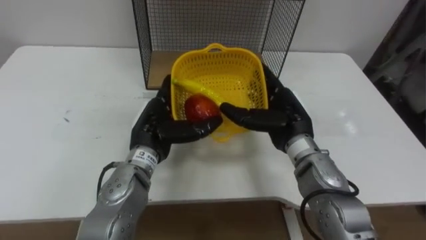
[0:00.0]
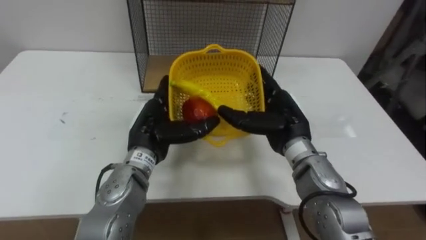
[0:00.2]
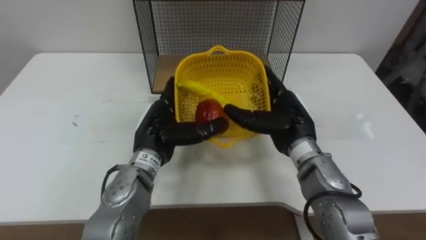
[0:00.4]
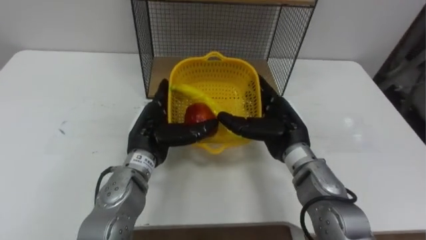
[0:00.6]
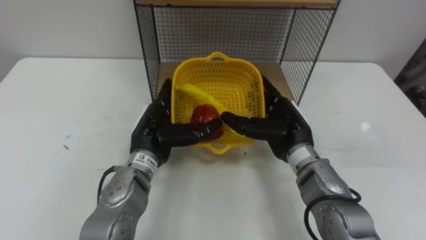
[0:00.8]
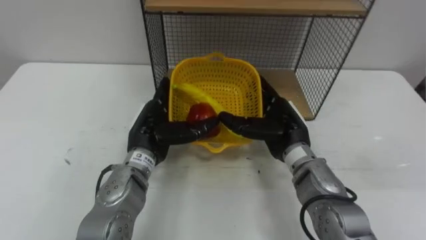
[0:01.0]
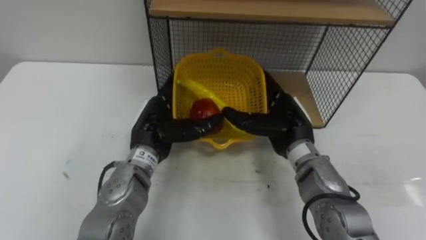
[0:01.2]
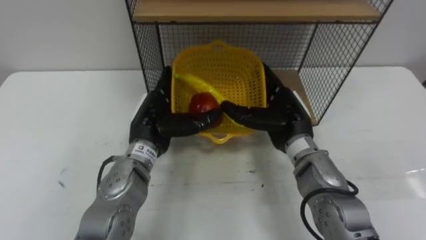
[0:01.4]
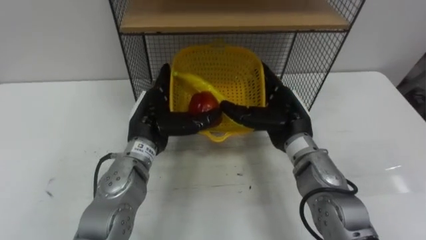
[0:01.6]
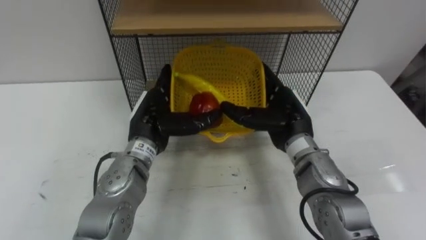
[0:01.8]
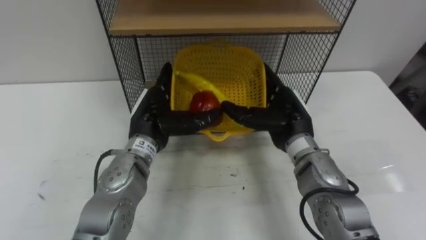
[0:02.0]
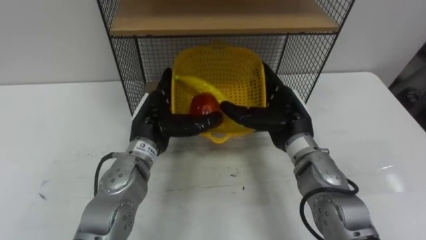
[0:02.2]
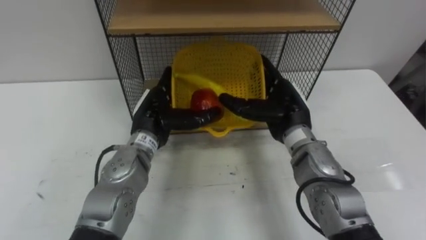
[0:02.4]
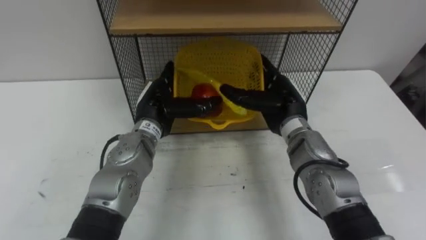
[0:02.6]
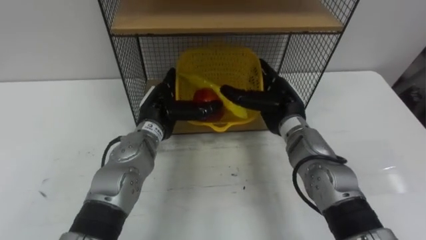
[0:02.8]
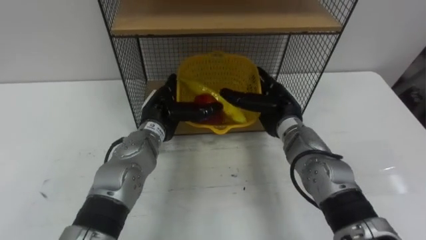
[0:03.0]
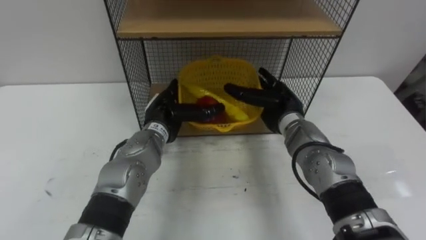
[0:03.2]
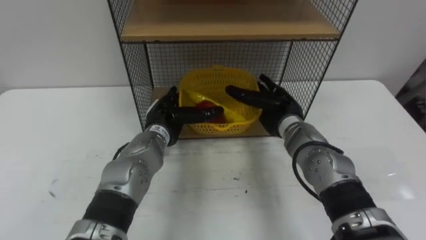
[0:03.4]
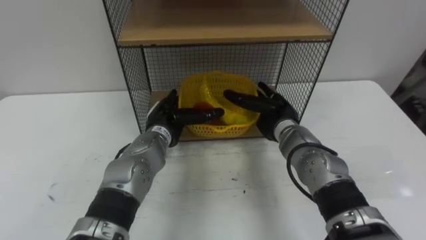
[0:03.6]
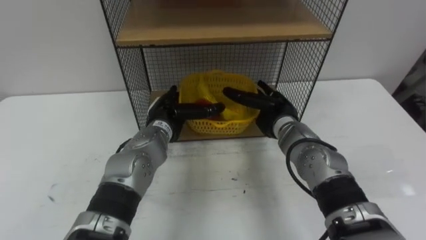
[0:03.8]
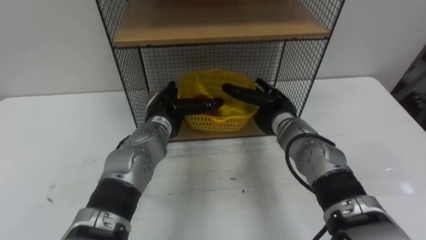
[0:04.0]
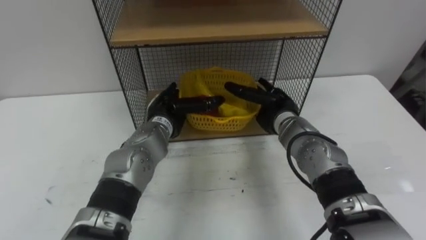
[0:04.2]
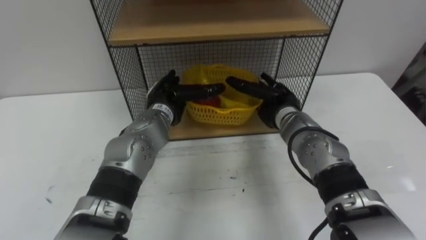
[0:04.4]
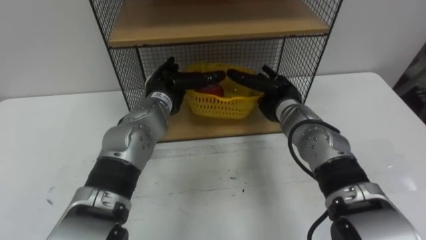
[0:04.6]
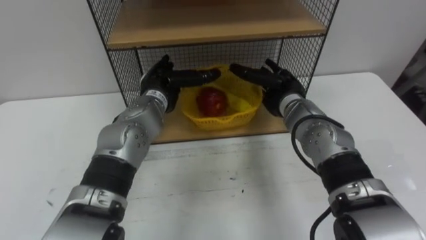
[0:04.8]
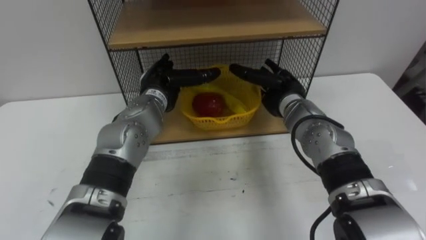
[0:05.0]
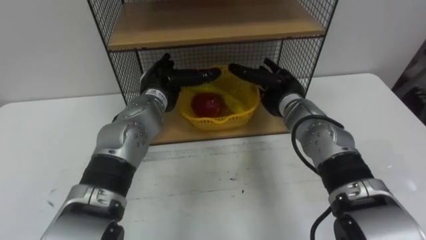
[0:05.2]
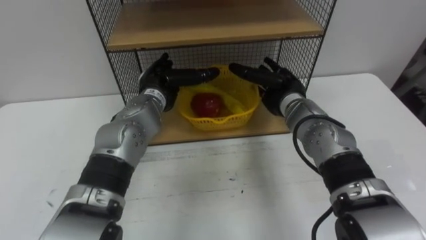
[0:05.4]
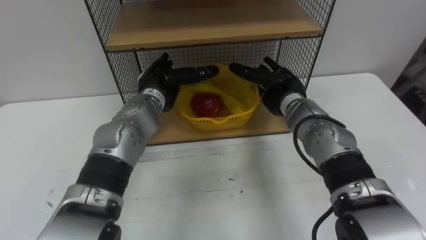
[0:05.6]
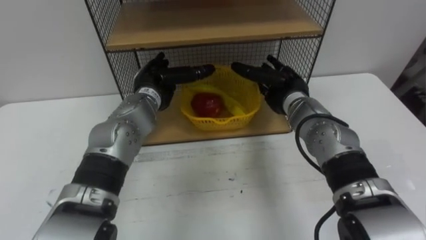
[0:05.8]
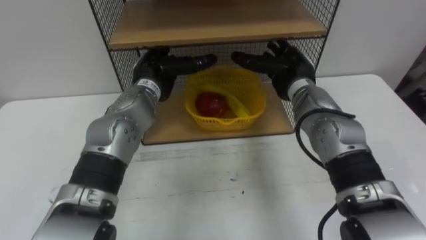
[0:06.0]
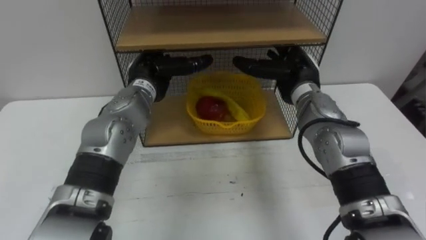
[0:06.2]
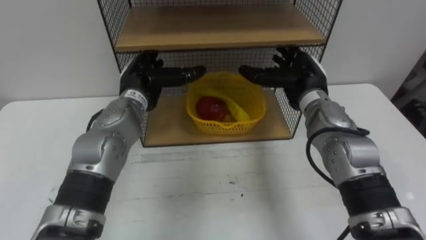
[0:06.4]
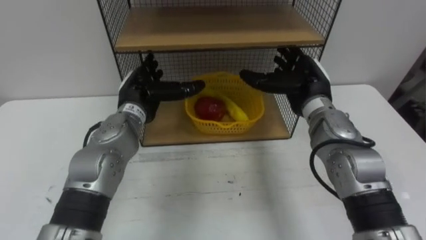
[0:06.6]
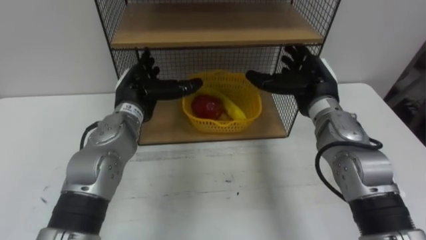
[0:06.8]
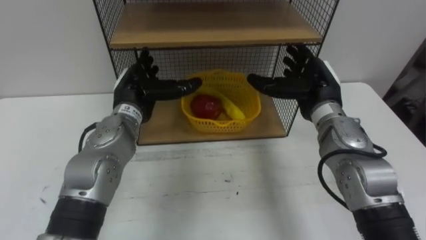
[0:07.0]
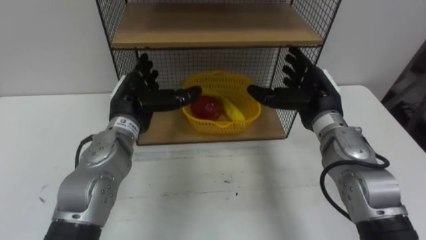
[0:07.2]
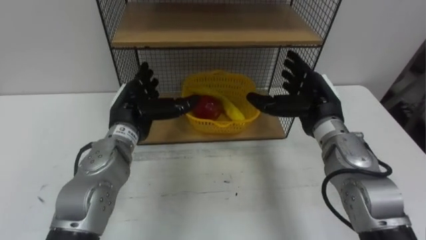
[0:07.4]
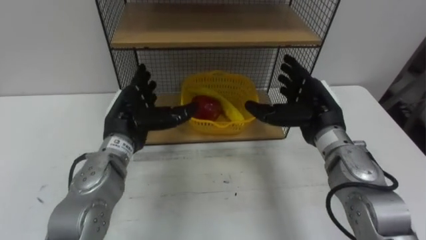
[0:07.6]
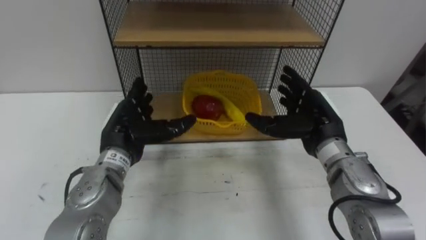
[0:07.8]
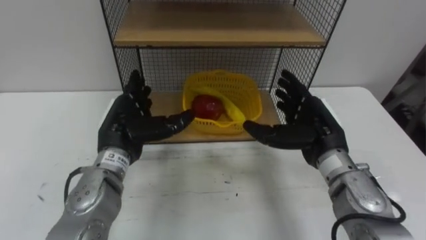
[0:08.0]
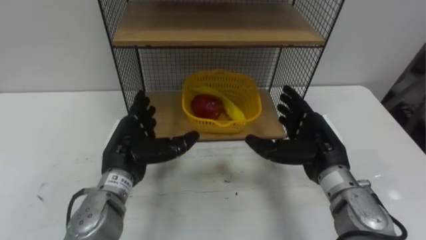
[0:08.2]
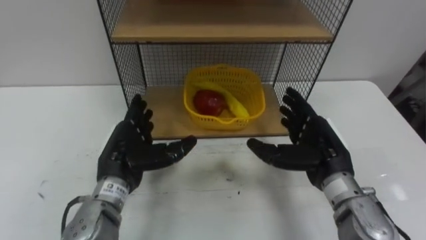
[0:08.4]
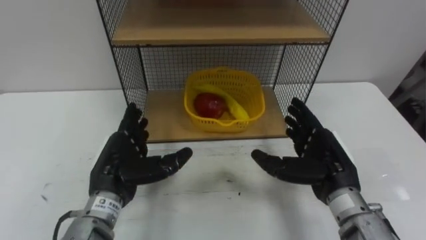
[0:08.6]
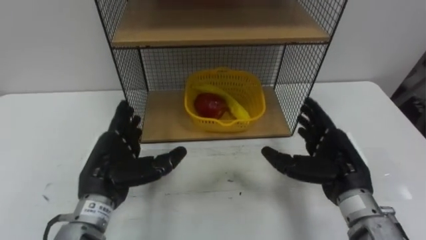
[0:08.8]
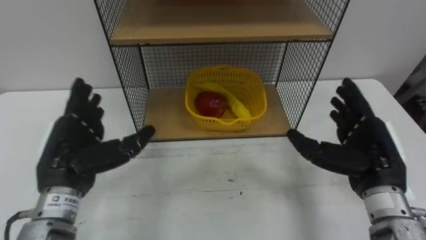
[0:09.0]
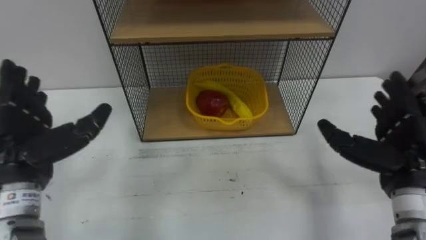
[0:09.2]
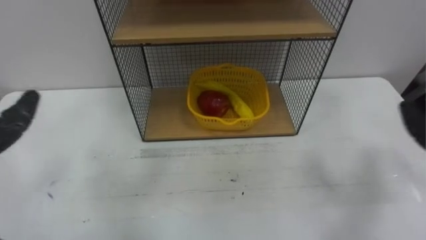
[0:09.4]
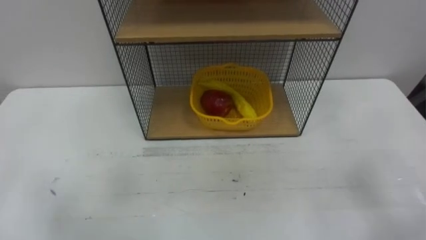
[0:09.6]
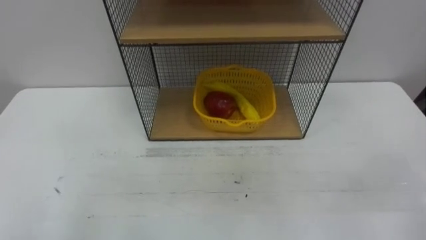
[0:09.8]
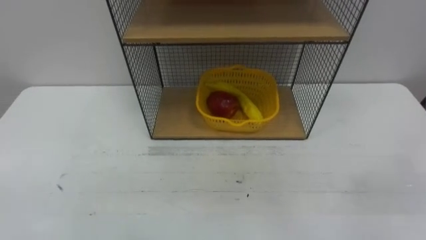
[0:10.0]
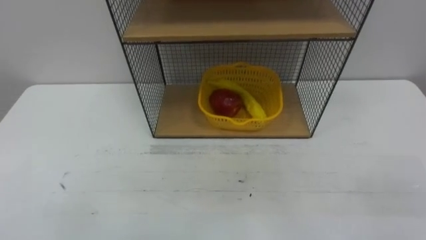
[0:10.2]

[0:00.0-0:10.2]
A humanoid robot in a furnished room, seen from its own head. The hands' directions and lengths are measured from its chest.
Task of the whole recording: Put the fruit on the table into the basket, then place the basket on the shelf.
0:01.4 to 0:03.0: The right hand ends up approximately 5 cm from where it was; the left hand ends up about 5 cm from where it was.
0:05.8 to 0:07.2: Both hands travel together backward, roughly 5 cm.
0:07.2 to 0:08.8: Both hands travel together backward, about 10 cm.

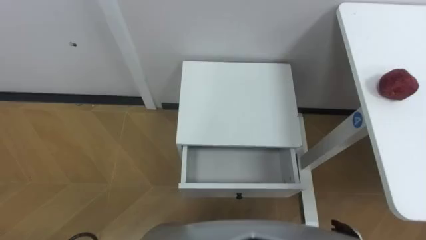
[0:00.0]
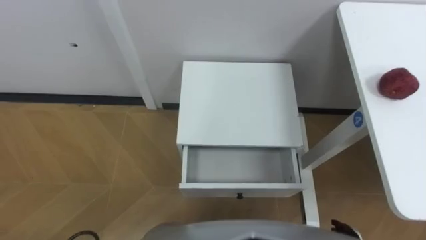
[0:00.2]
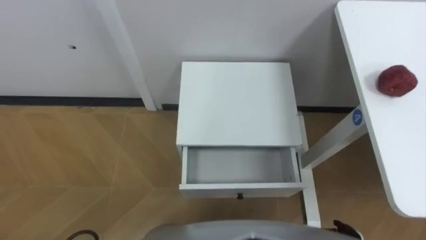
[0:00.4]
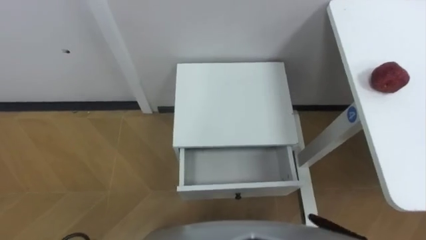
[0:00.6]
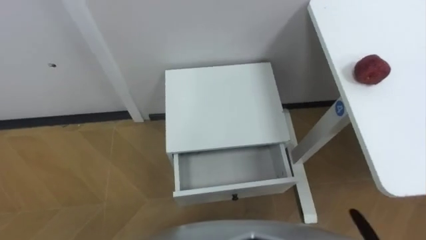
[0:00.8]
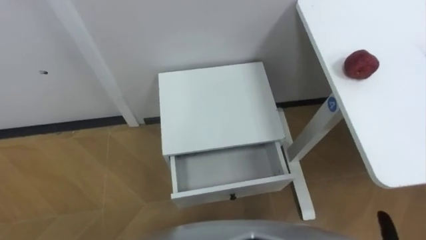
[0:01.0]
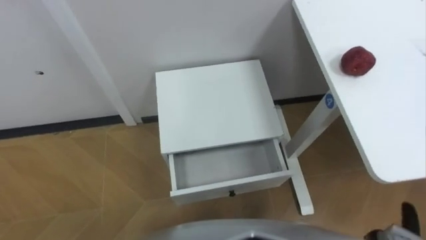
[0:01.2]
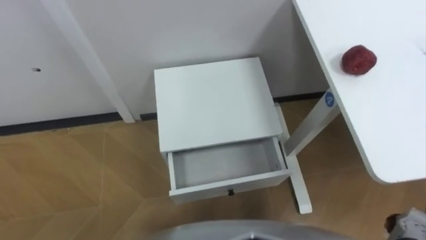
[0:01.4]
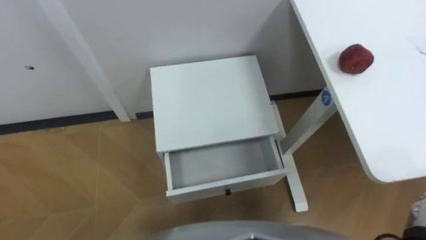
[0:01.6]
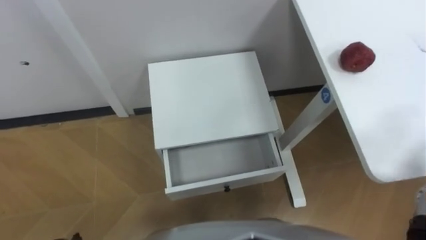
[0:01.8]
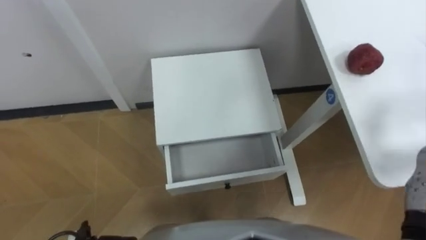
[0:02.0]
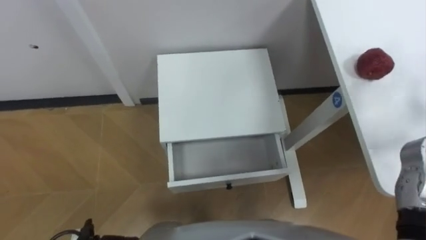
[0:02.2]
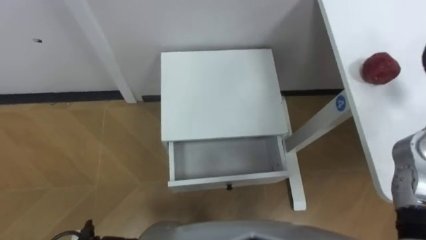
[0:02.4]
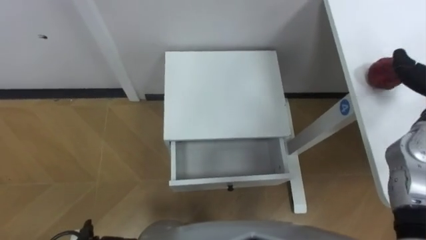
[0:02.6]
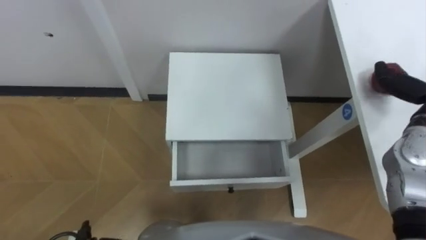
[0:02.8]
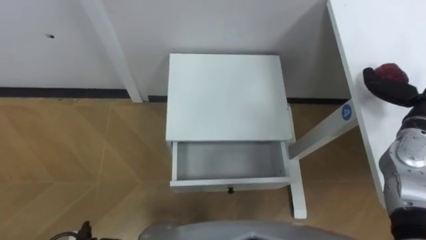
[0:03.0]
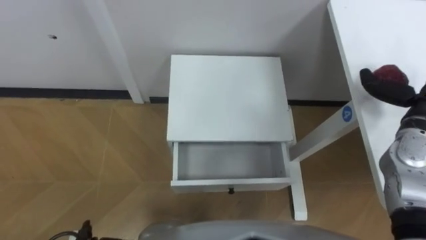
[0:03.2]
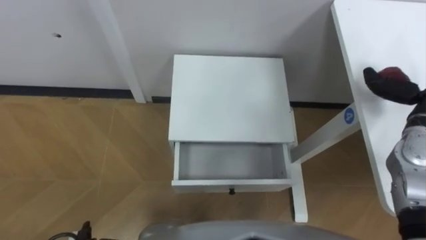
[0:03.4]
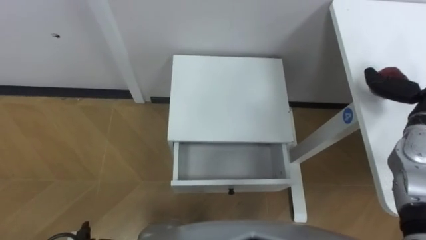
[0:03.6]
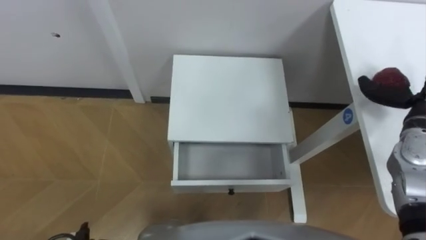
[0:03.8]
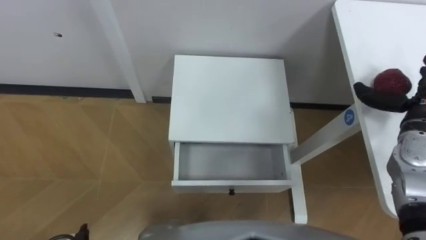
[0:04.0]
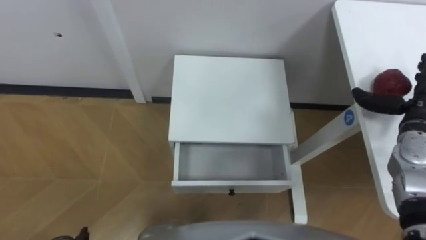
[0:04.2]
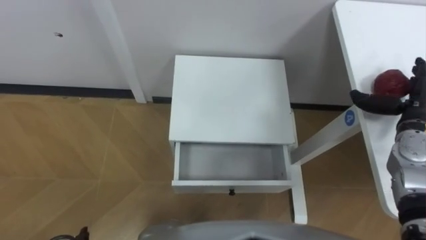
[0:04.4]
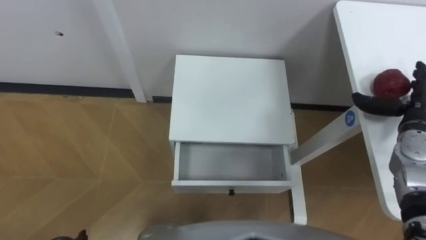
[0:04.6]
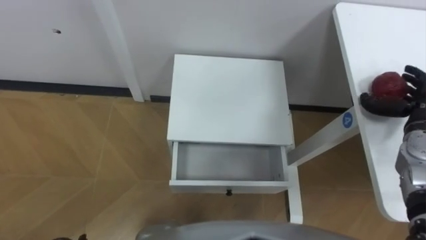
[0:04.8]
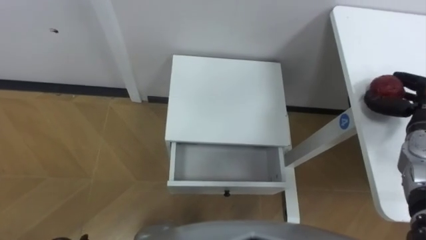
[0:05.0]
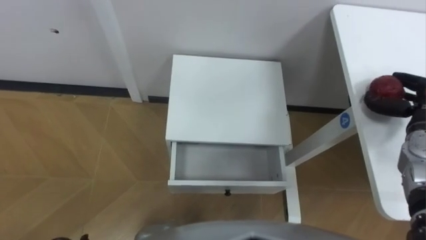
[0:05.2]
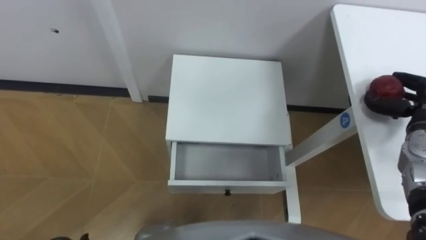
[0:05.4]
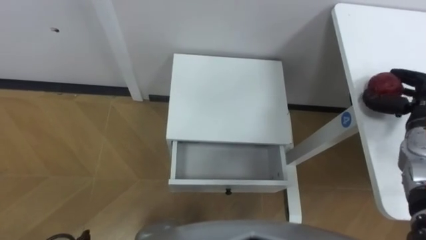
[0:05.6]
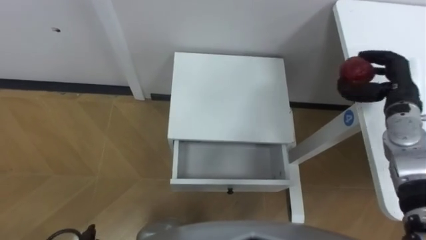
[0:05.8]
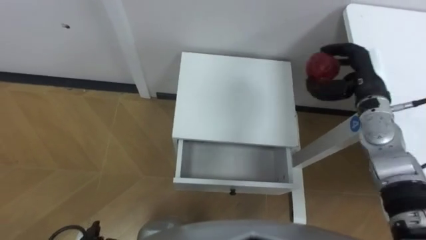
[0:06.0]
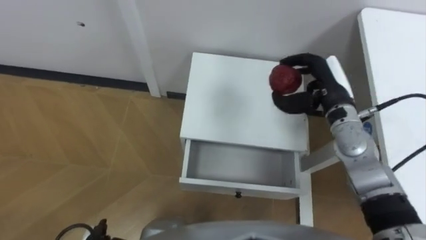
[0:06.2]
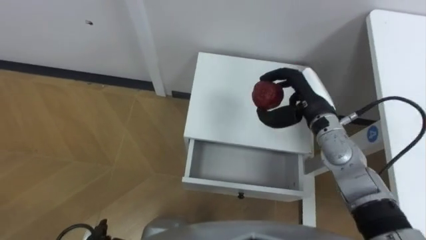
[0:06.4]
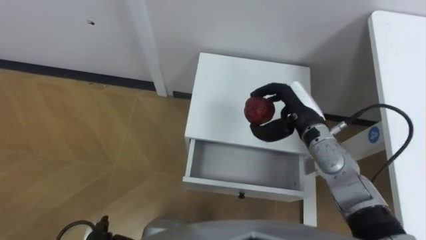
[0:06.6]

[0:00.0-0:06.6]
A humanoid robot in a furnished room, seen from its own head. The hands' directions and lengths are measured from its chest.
Task of the whole recording: Pick up the apple from the table, put it in the drawer, and close the drawer with leg.
0:05.0 to 0:06.6: The right hand travels to the left by roughly 25 cm.
